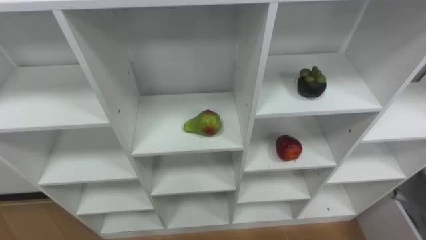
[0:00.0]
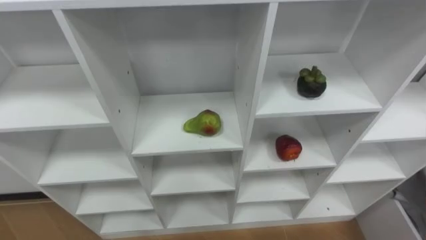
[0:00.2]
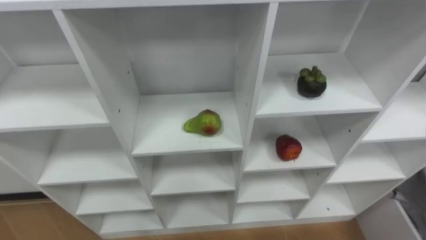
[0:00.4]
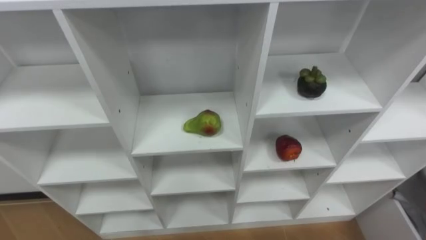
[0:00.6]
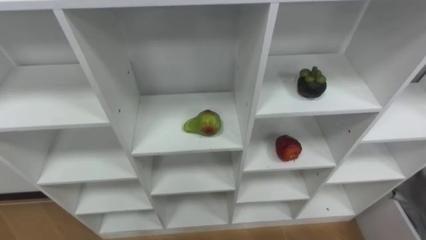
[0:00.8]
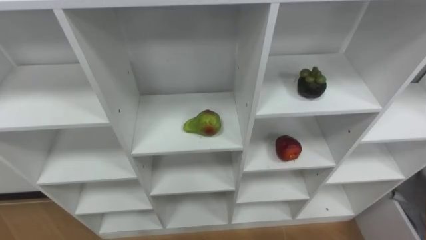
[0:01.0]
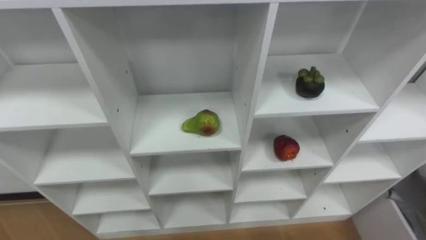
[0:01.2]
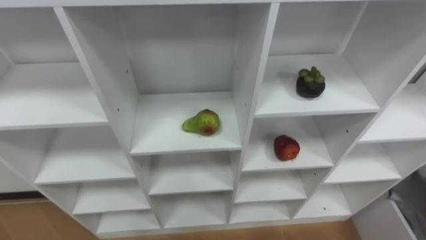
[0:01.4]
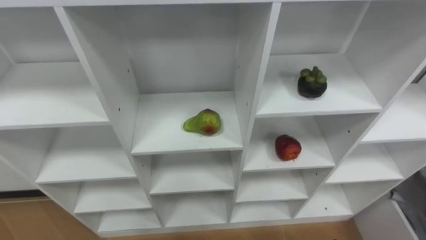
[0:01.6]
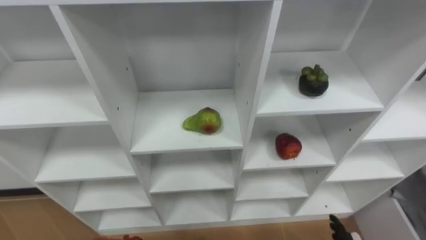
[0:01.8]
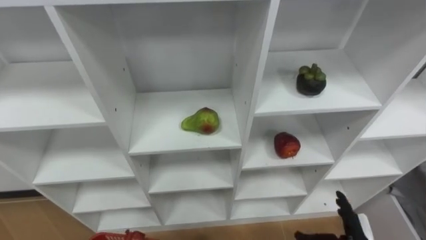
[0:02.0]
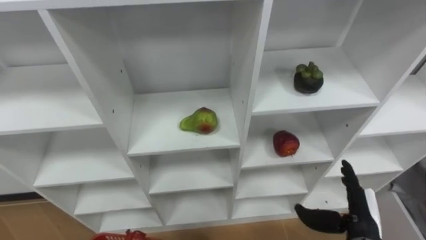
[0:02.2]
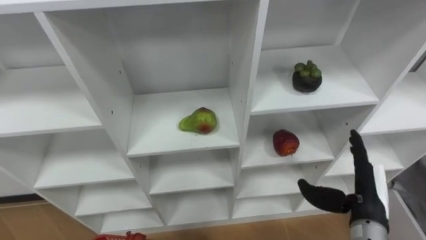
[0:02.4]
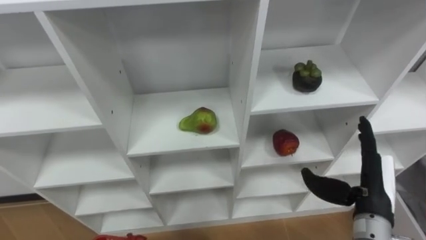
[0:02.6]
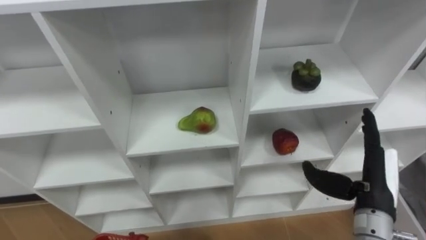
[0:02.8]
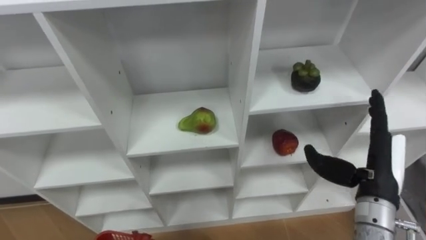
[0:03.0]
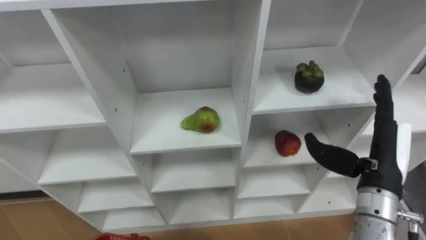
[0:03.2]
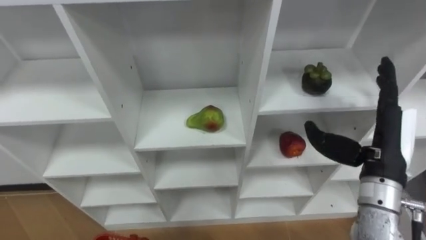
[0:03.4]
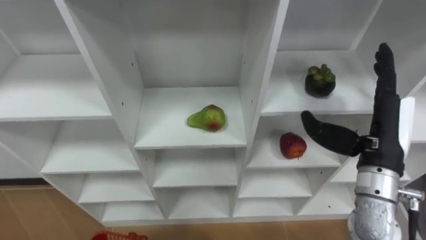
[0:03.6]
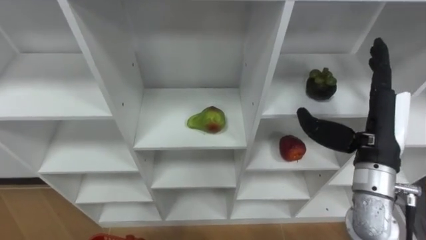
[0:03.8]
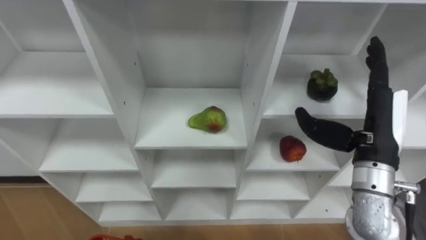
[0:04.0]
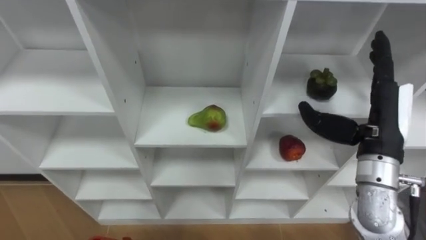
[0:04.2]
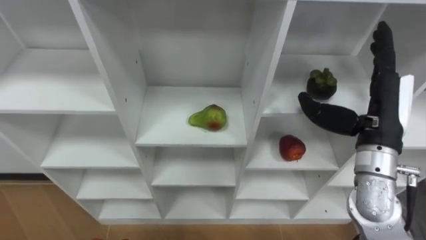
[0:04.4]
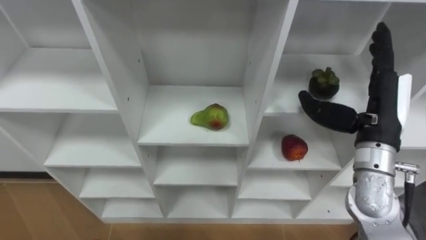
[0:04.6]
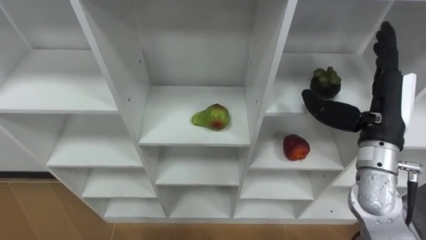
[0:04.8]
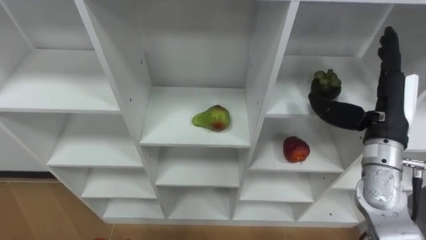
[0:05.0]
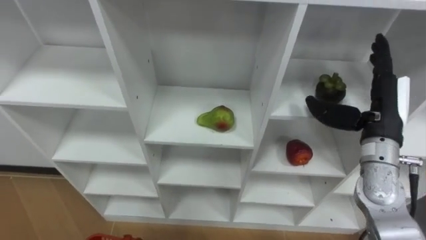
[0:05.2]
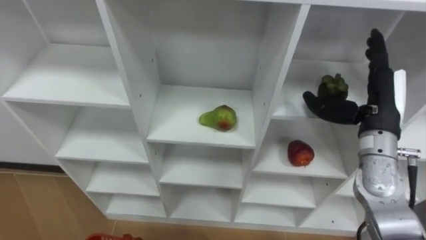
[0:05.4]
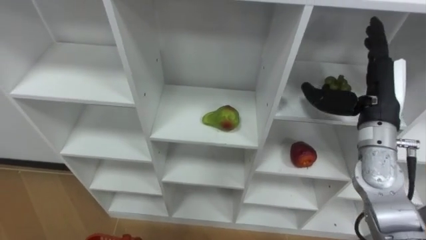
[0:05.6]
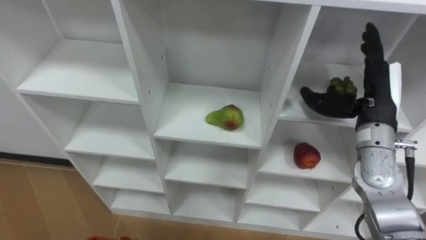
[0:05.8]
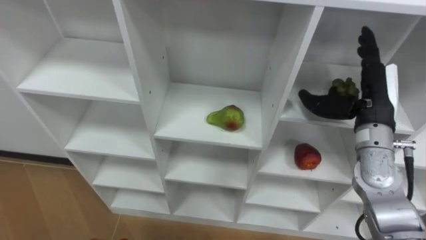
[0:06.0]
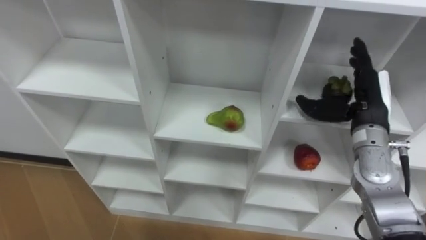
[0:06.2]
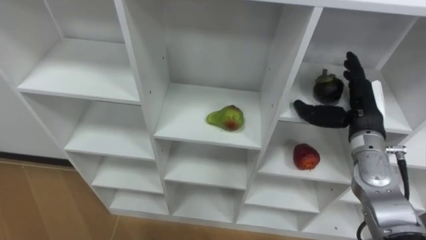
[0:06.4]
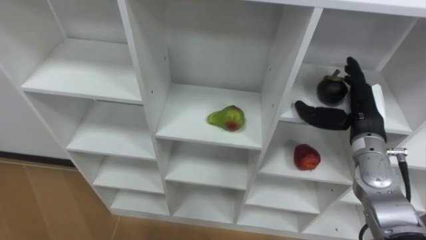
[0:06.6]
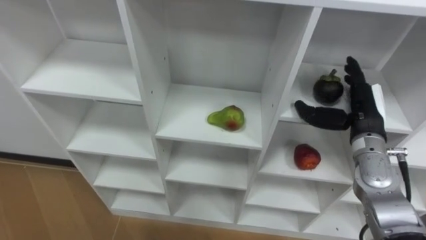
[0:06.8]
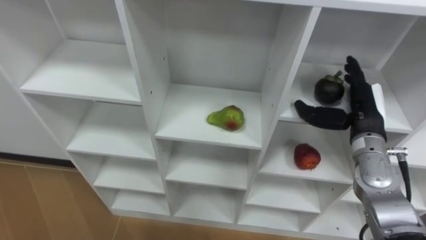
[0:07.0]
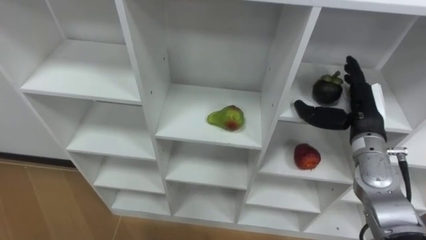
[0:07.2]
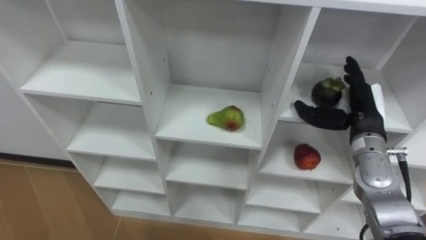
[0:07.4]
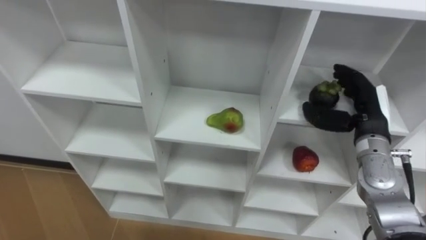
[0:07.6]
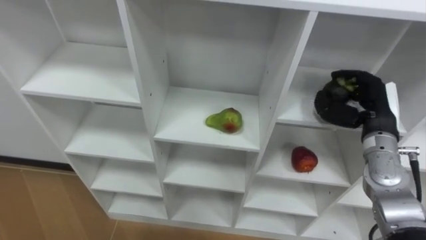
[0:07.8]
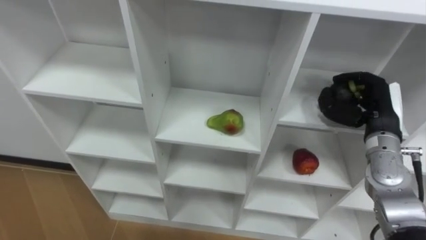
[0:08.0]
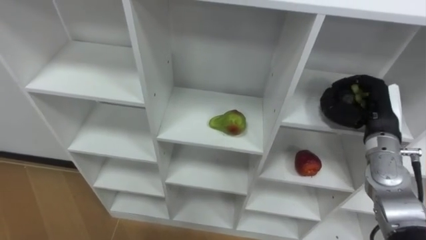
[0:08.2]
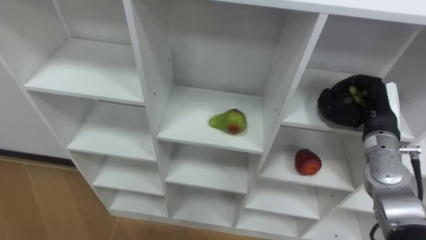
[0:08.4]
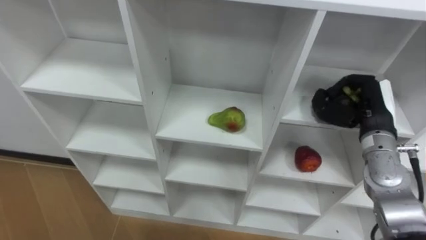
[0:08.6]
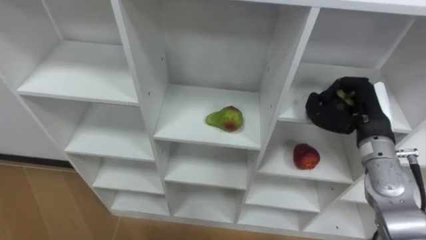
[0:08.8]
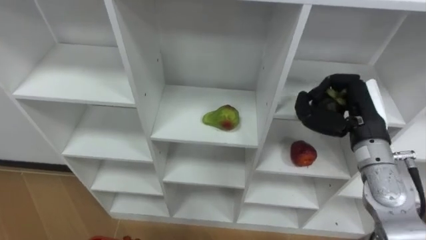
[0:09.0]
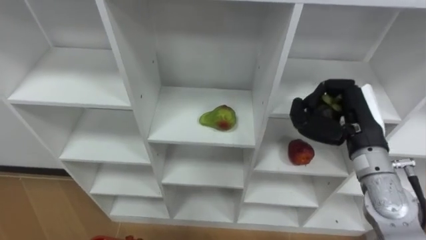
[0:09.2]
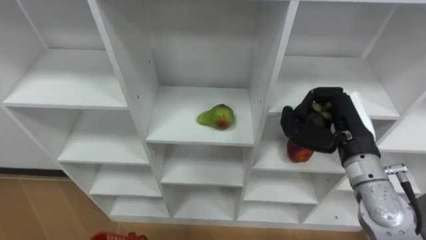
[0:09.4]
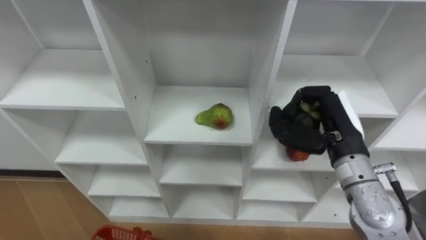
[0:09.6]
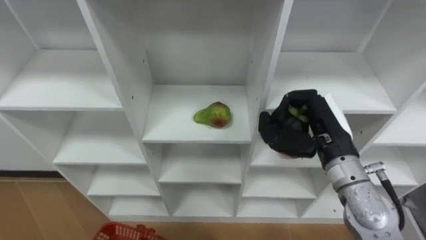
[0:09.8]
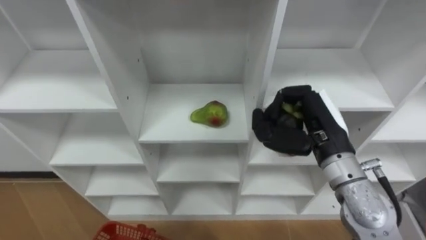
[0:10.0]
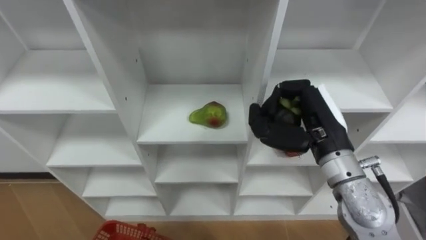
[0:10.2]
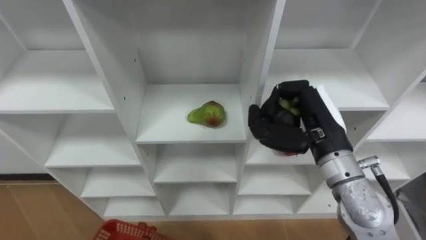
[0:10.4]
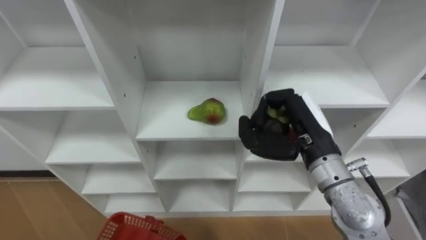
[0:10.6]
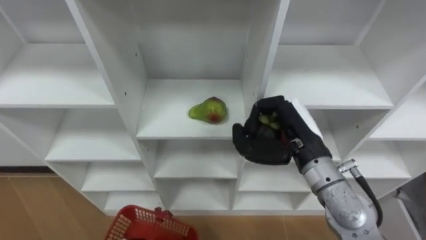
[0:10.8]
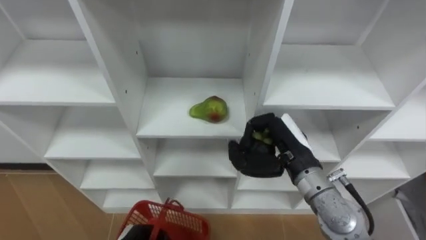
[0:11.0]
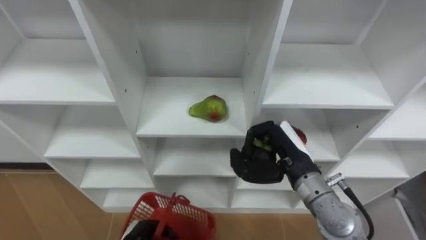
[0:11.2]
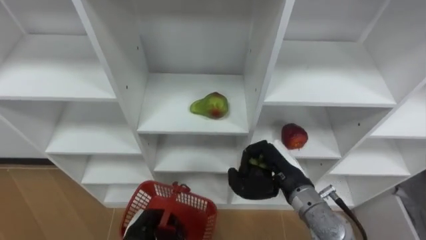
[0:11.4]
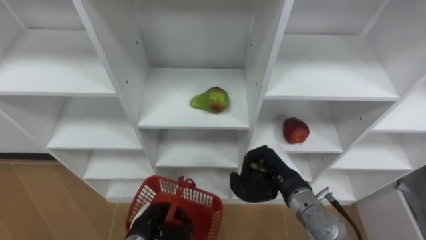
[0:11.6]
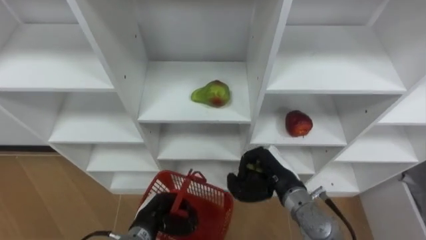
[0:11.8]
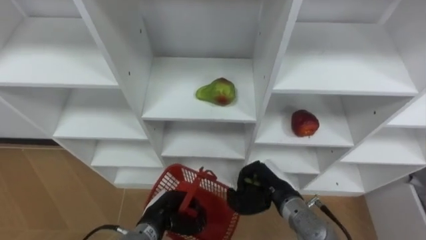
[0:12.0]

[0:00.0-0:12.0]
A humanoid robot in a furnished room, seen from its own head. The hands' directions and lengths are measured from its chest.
Task of the whole recording: Hold the basket and collect the fruits from 3 different cells of the closet into it.
0:03.0 to 0:04.4: The right hand shifts about 10 cm upward and forward.
0:04.4 to 0:06.0: The right hand shifts by about 5 cm.
0:06.0 to 0:07.6: The right hand goes approximately 5 cm downward.
0:07.6 to 0:09.0: The right hand moves approximately 5 cm, and closes.
0:09.0 to 0:10.4: The right hand shifts roughly 10 cm to the left.
0:10.4 to 0:12.0: The right hand travels downward by approximately 20 cm.

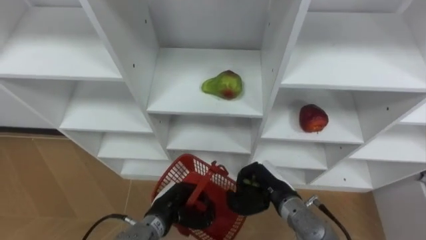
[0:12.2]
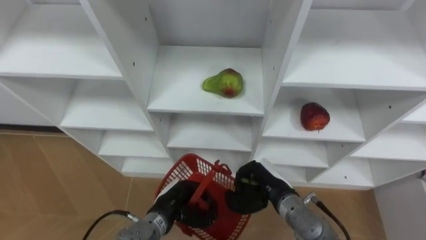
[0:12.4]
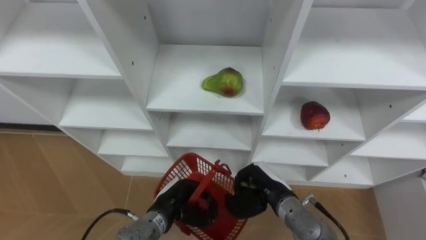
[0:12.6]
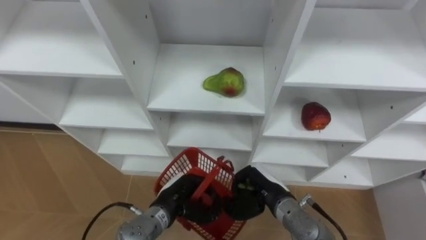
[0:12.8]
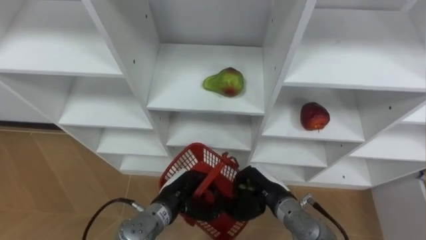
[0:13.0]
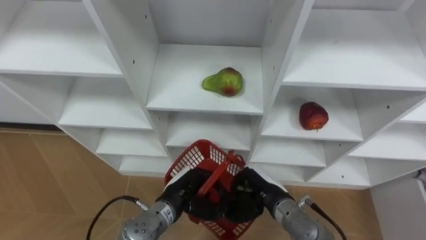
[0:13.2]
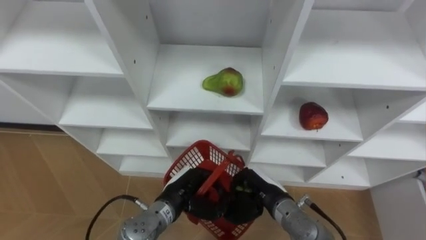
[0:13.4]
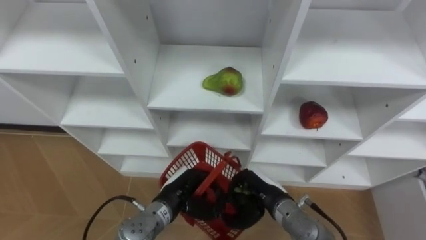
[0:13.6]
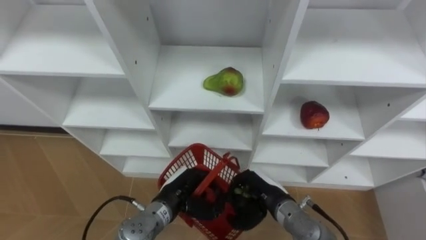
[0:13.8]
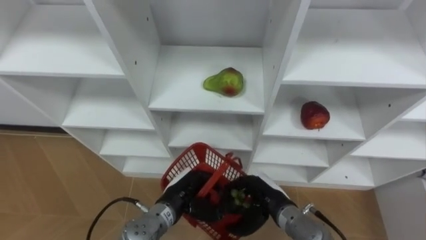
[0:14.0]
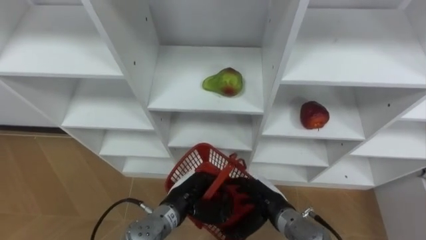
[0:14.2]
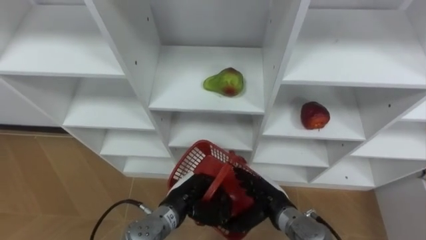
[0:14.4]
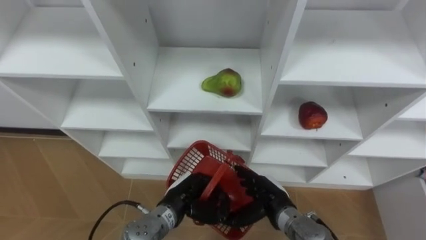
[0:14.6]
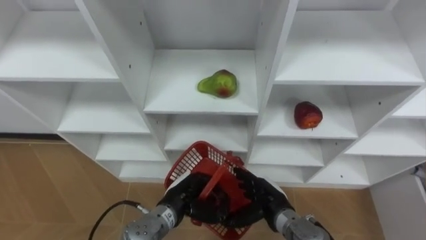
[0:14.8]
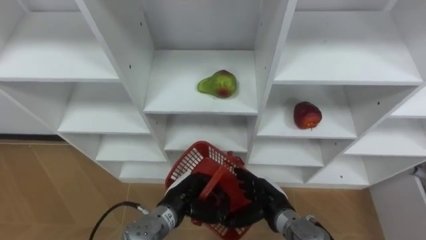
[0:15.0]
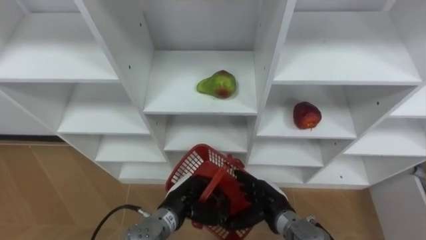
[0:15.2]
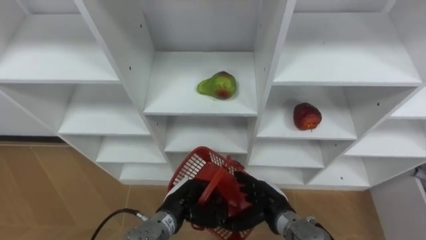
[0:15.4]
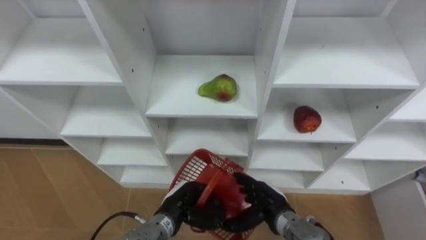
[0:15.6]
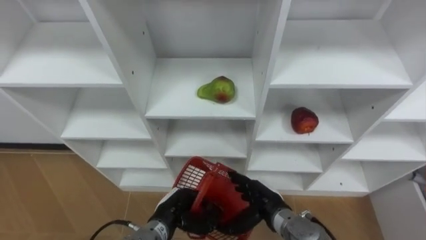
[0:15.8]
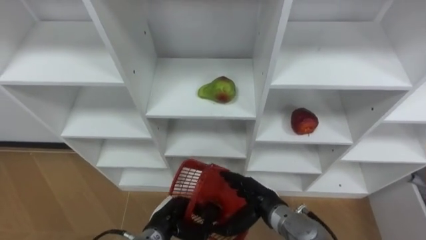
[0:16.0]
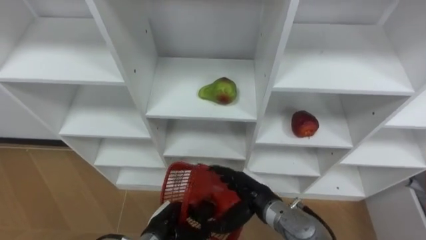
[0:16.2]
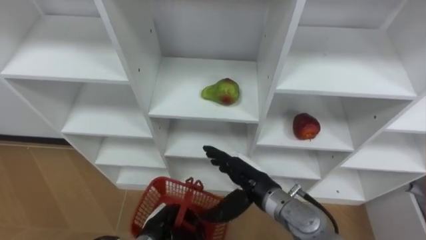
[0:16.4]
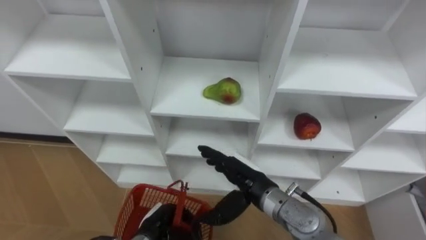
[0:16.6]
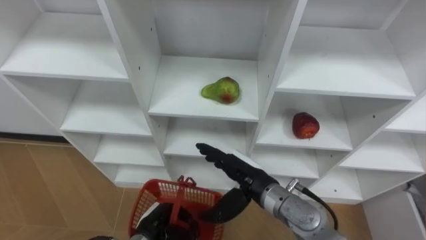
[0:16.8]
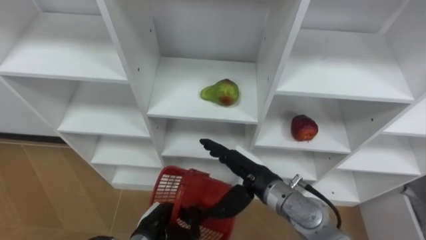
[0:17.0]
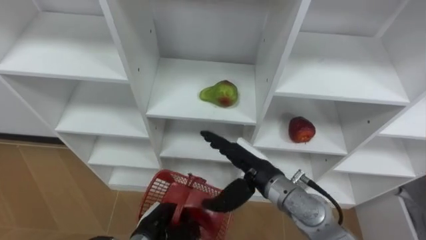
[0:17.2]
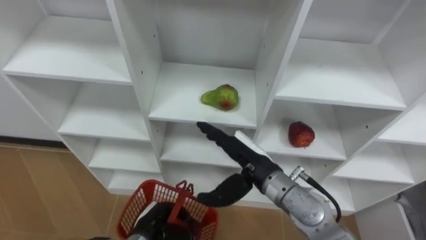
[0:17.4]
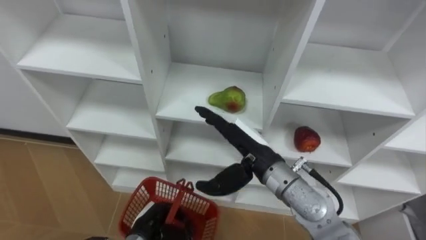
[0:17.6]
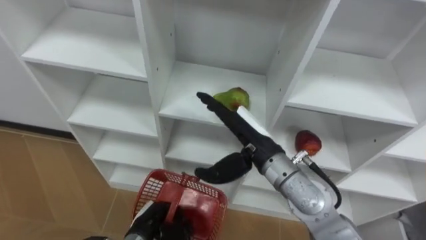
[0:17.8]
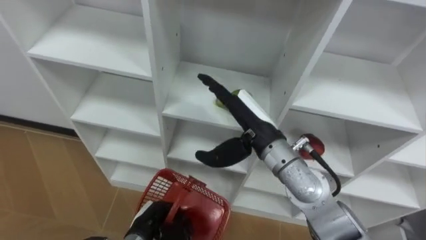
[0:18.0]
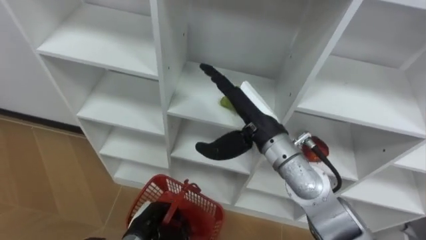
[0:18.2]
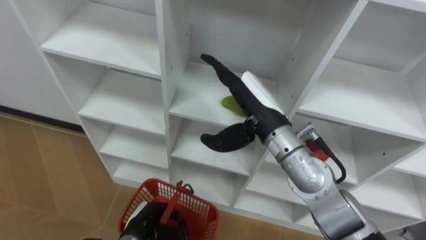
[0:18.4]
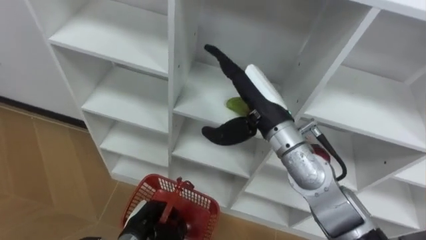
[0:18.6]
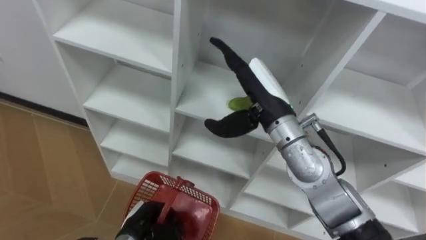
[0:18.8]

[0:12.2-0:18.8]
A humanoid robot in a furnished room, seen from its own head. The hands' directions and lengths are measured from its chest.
Task of the whole recording: Hold the basket and collect the fruits from 3 different cells of the closet into it.
0:13.8 to 0:15.4: The right hand opens.
0:15.4 to 0:17.2: The right hand goes approximately 10 cm upward; the left hand travels to the left by some 5 cm.
0:17.2 to 0:18.8: The right hand moves upward and forward, approximately 15 cm.
